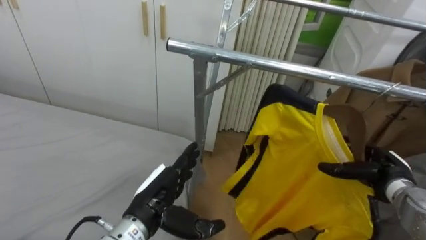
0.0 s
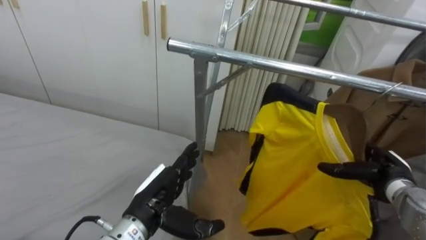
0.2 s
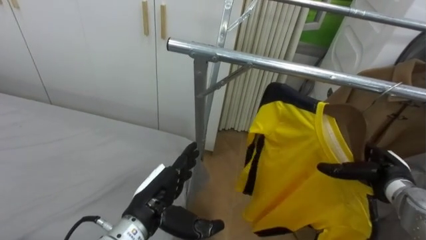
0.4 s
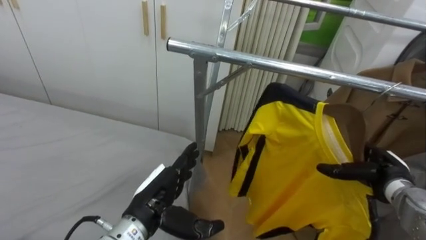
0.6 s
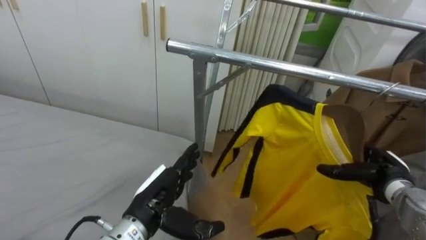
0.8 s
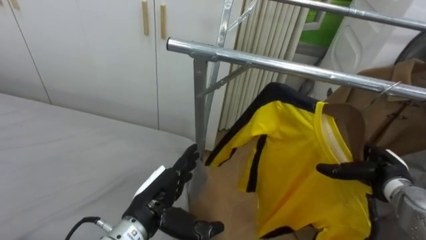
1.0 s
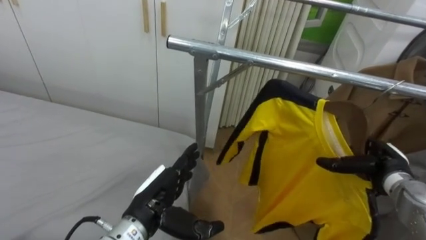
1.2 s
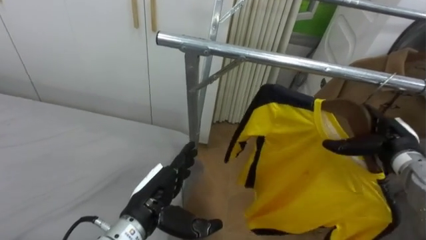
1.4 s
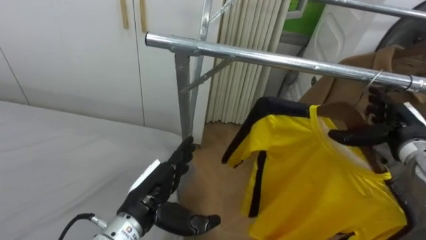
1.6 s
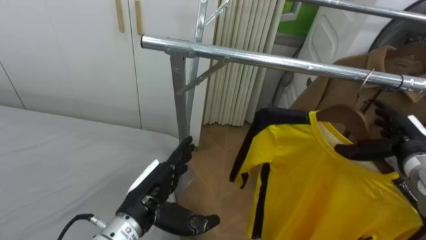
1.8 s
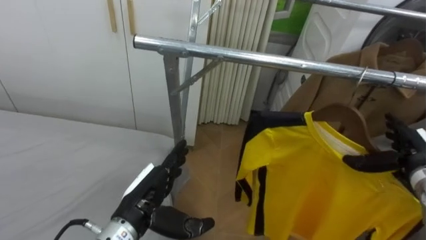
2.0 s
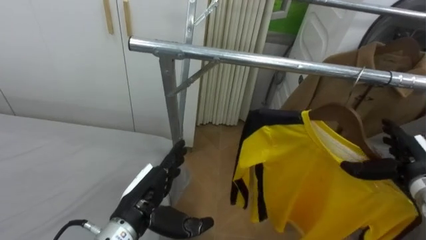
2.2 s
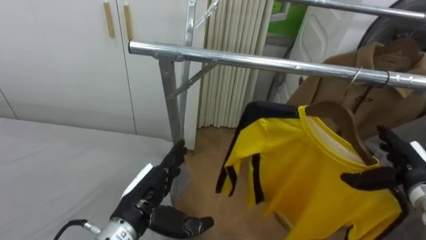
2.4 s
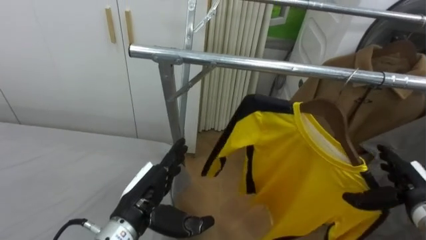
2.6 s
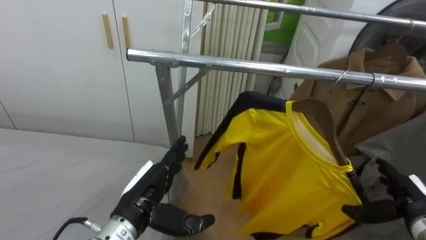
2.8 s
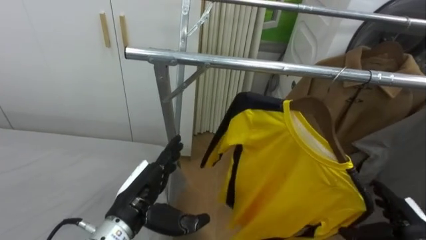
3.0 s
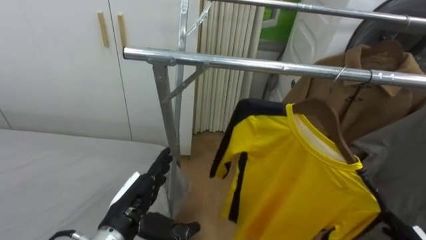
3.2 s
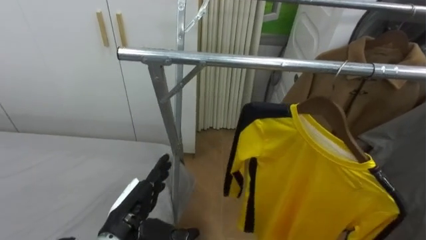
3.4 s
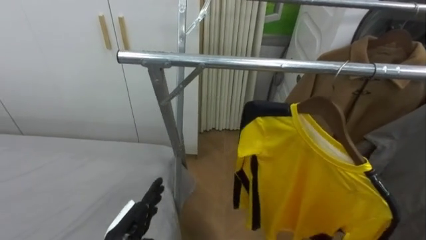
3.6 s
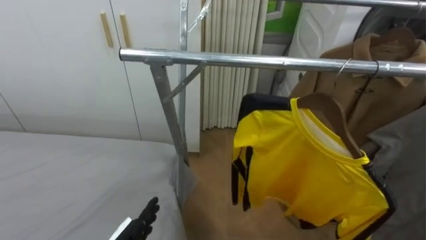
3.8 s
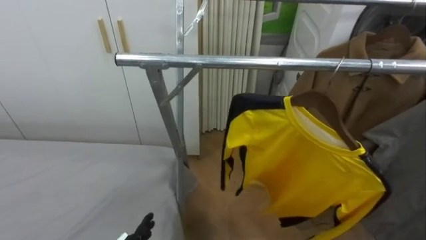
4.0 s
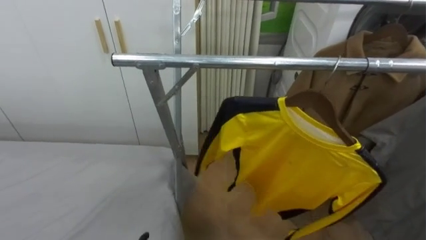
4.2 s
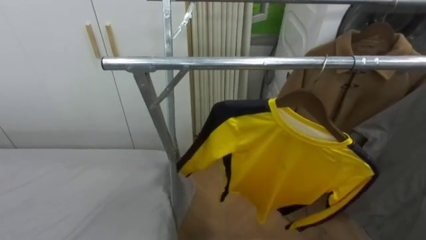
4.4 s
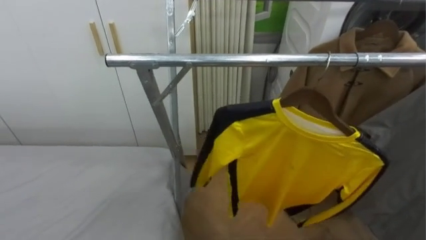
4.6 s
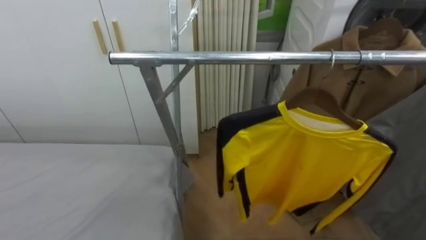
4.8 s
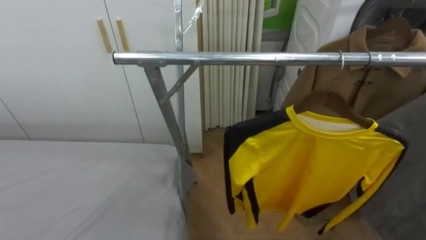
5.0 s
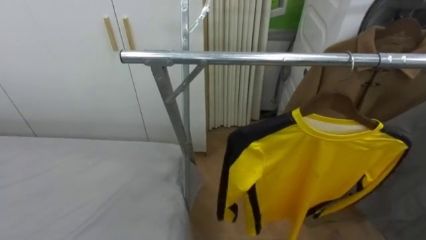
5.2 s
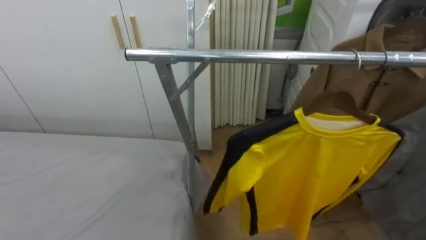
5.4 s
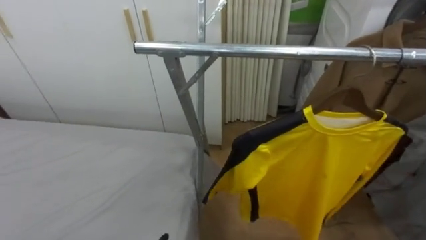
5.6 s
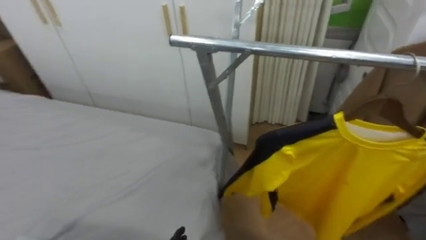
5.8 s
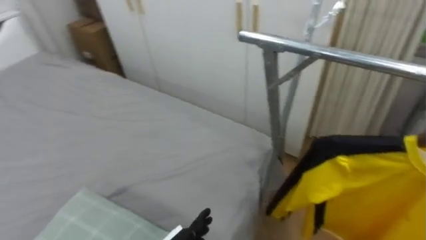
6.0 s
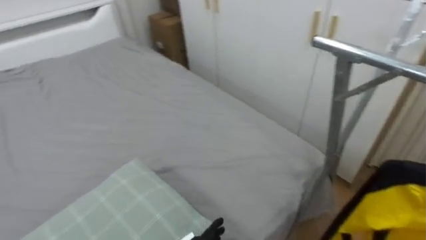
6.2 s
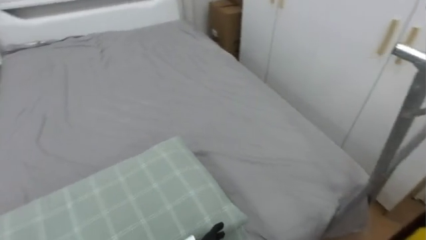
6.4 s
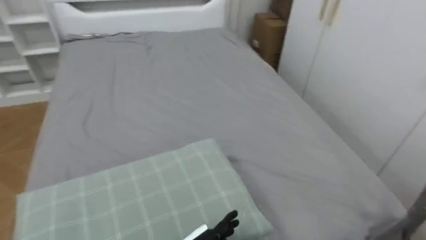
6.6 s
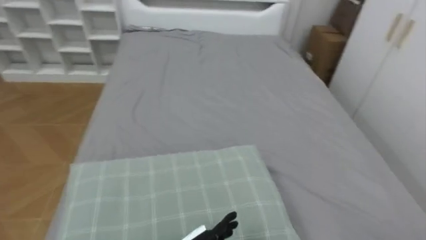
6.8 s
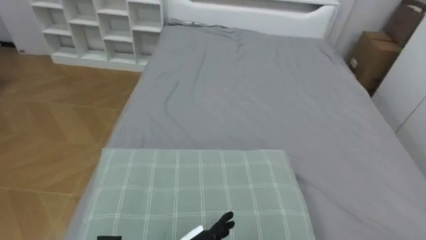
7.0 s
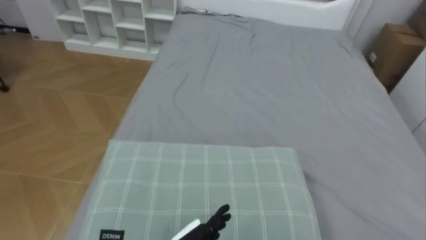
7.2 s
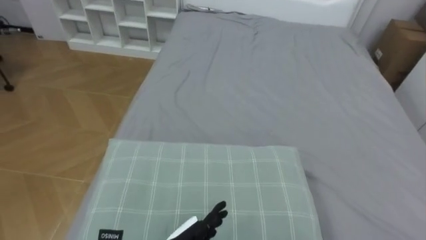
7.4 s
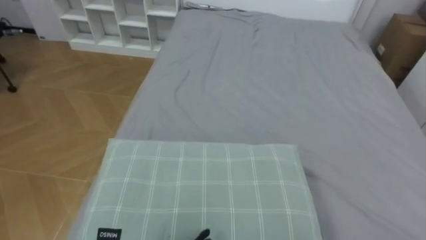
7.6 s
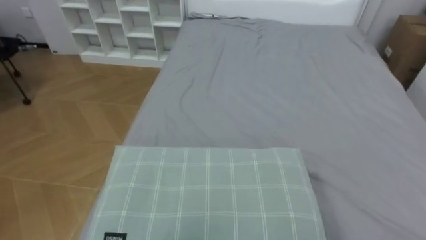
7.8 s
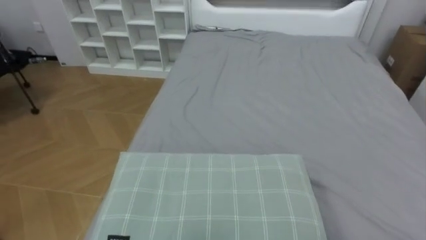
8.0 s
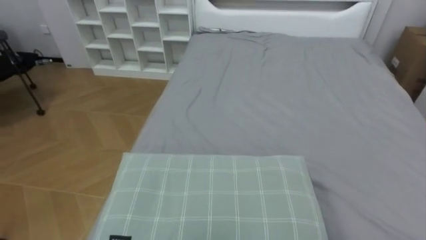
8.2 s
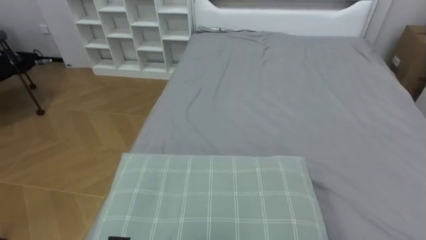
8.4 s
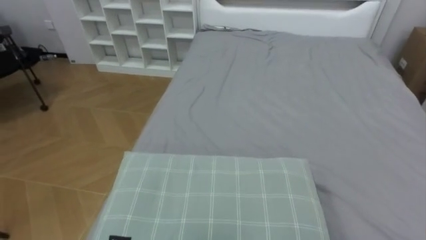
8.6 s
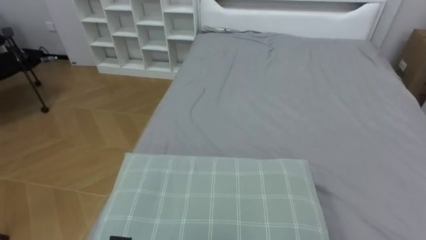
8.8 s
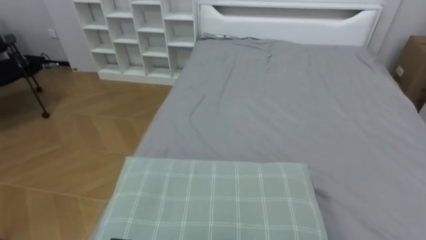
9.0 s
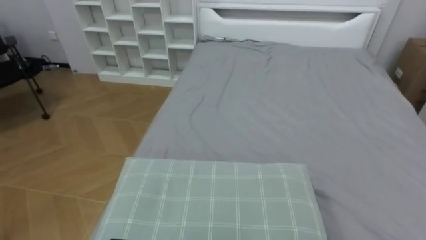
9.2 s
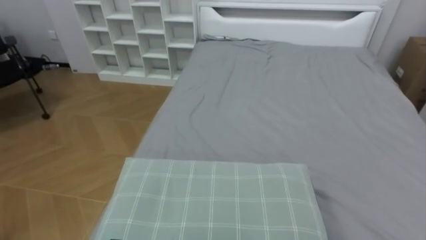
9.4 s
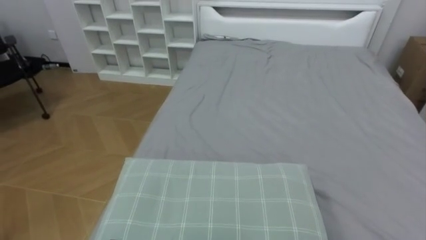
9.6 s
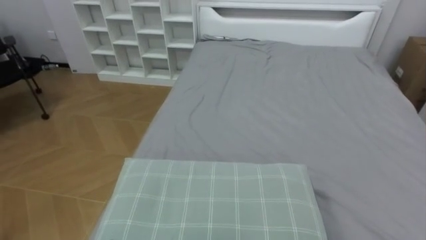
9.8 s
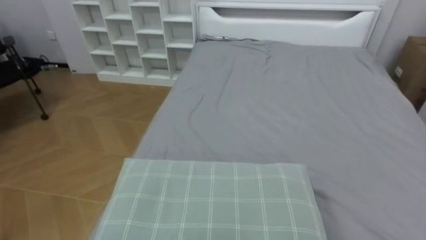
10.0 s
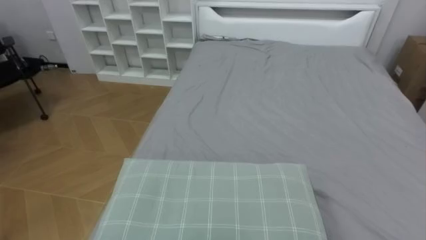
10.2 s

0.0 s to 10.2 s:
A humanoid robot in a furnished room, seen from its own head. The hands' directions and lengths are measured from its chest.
Task of the whole recording: Pick up the yellow shirt on the bed and hang it on the clothes rack on the right.
0.0 to 1.4 s: The right hand shifts about 5 cm upward.
1.4 to 3.0 s: The right hand goes approximately 15 cm backward and downward.
5.8 to 7.2 s: The robot faces approximately 80 degrees further to its left.

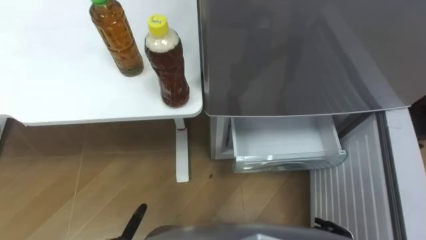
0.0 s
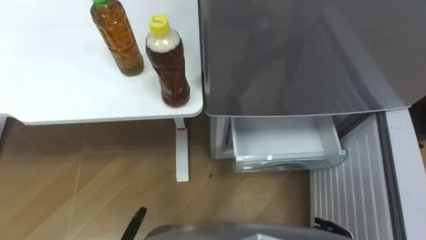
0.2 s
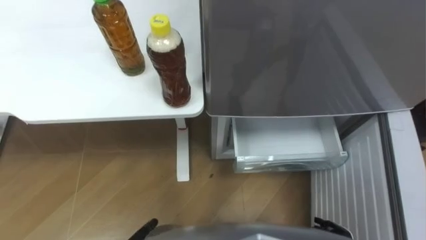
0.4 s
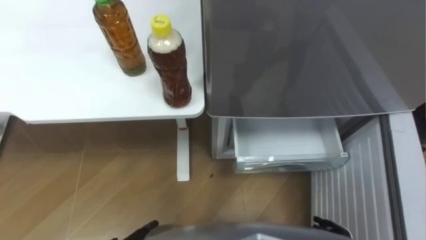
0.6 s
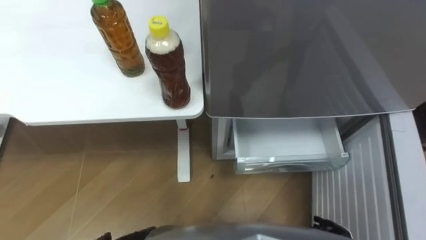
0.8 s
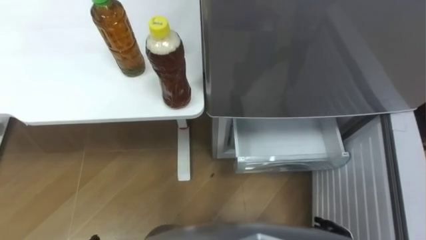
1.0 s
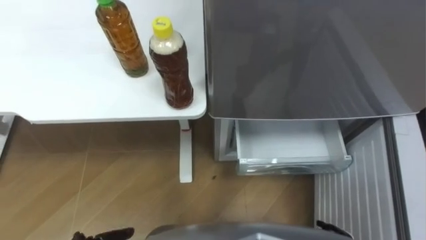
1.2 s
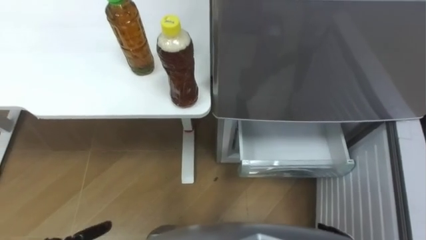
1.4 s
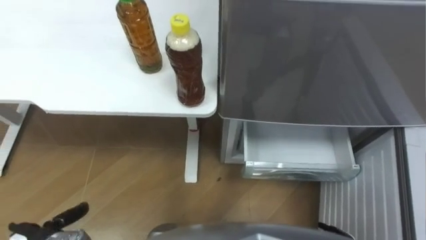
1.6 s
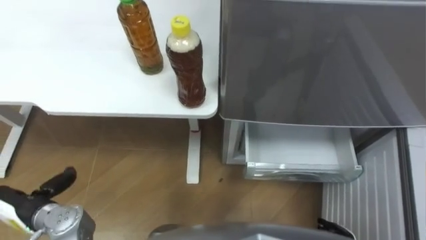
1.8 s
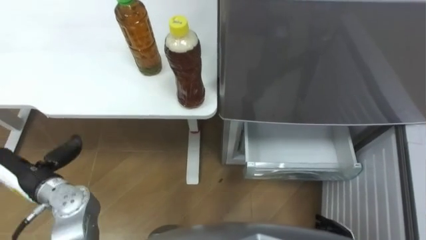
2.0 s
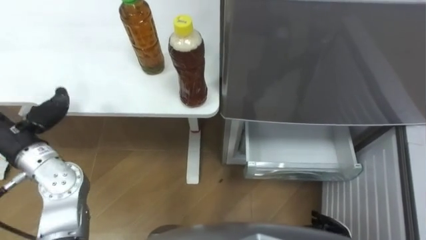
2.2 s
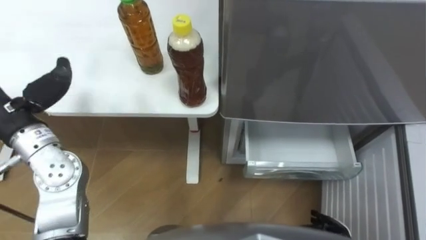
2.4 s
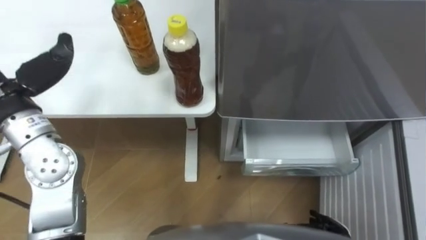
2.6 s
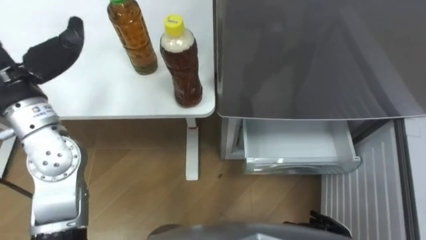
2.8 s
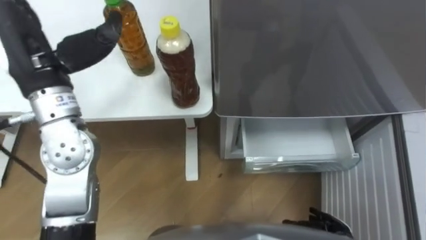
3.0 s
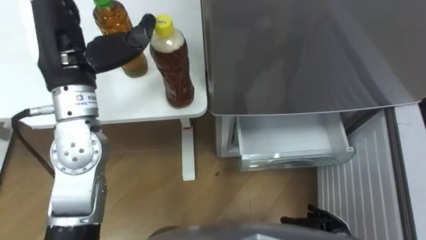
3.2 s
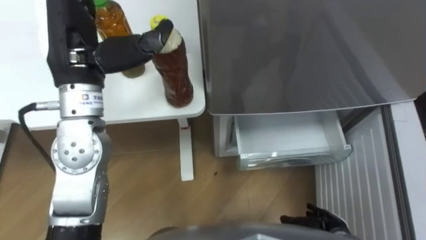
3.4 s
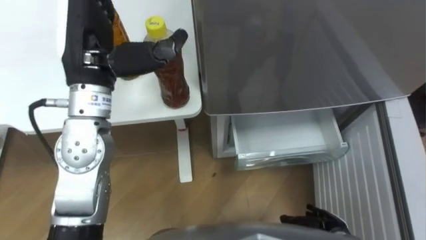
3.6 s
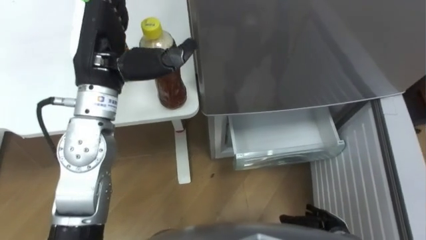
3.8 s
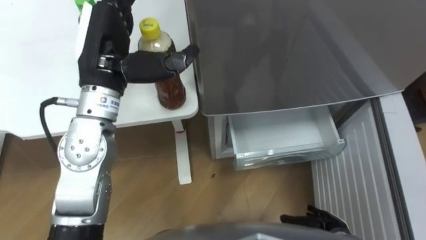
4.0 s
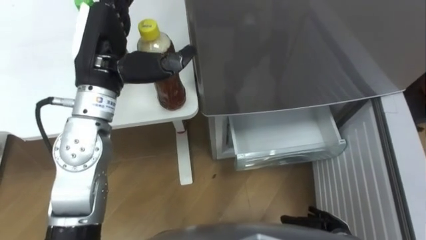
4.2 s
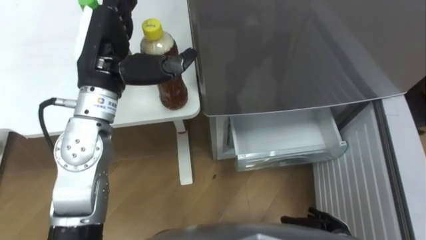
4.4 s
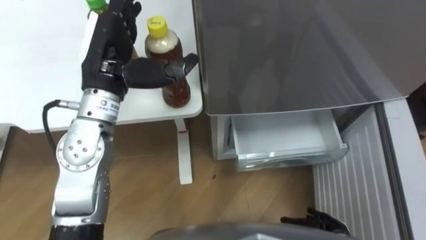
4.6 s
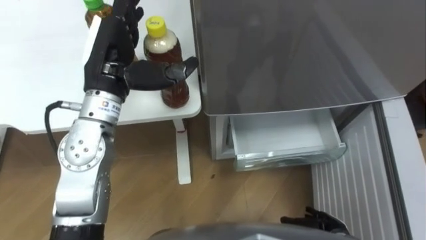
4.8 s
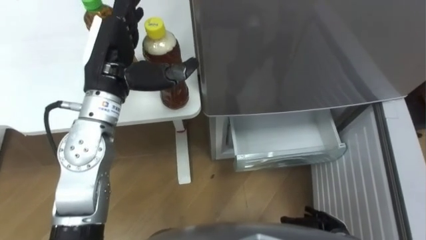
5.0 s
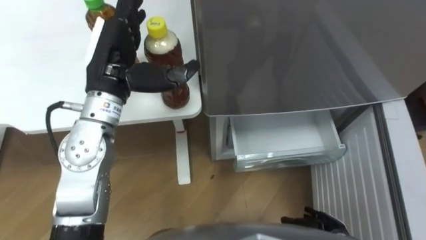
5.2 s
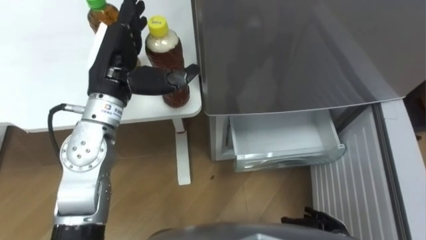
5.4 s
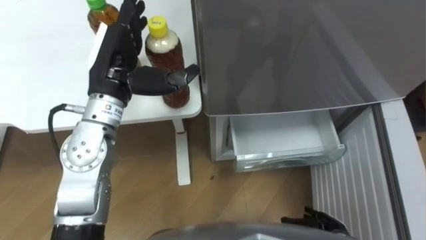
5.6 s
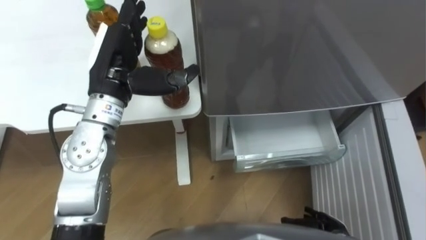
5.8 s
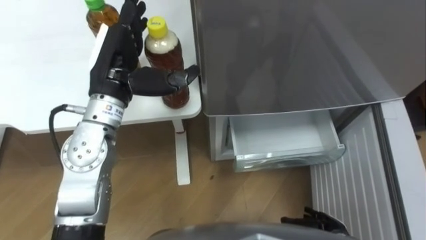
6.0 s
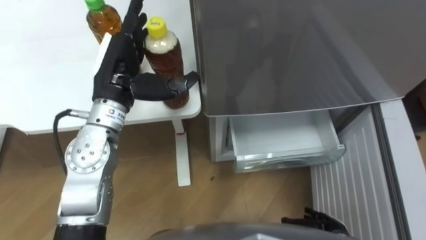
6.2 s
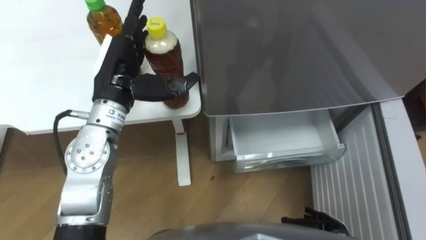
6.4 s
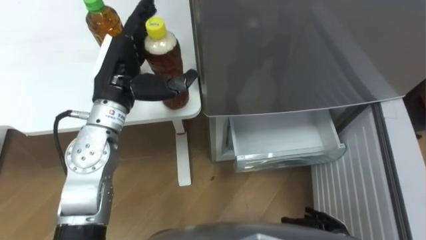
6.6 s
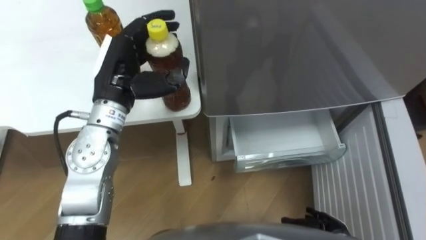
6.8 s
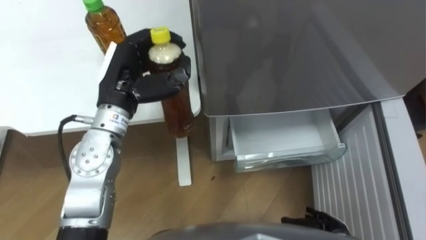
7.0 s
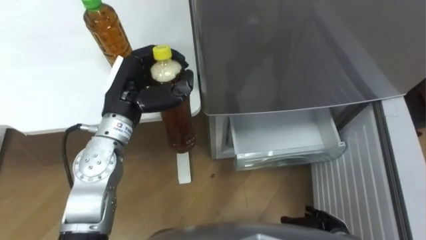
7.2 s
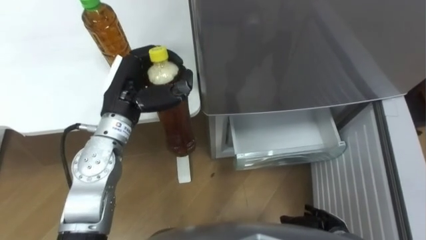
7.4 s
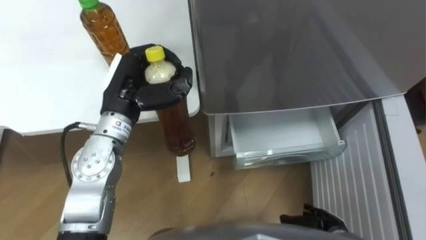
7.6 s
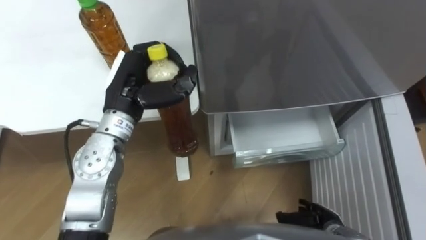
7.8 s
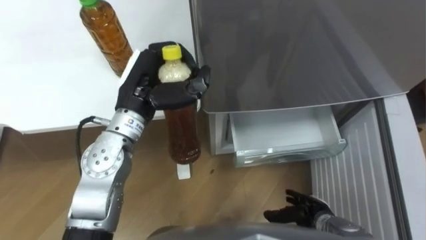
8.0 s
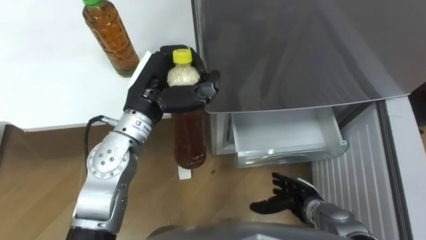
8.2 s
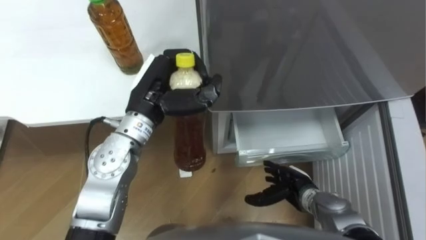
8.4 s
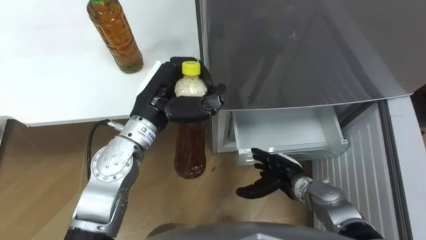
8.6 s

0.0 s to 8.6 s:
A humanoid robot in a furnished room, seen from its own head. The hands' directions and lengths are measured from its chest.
Task of the whole recording: Place the drink on the table on the bottom shelf of the refrigerator, then close the drawer and the refrigerator door.
4.4 to 5.8 s: The hands move only a little.
5.8 to 7.2 s: The left hand shifts approximately 5 cm downward, and closes.
7.2 to 8.6 s: The left hand is displaced to the right by roughly 5 cm. Meanwhile the right hand is displaced forward, to the left and upward by roughly 15 cm.
